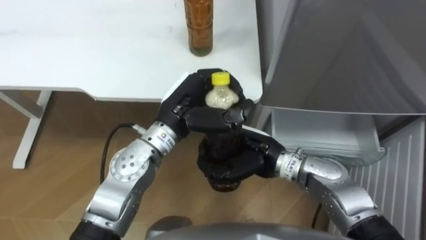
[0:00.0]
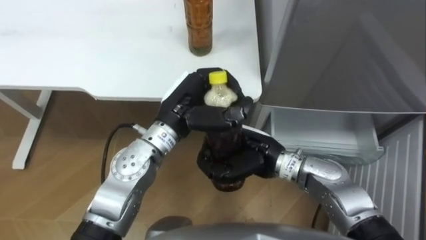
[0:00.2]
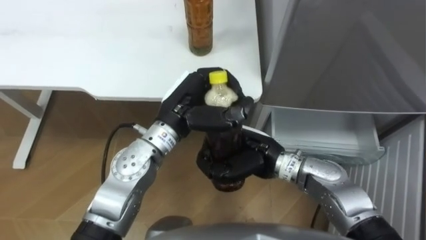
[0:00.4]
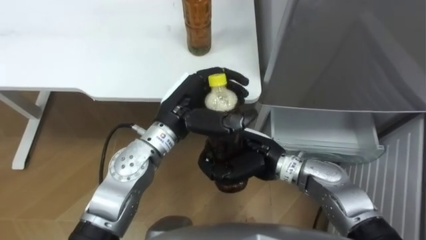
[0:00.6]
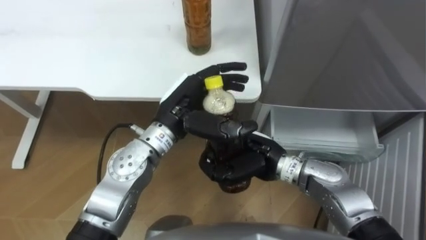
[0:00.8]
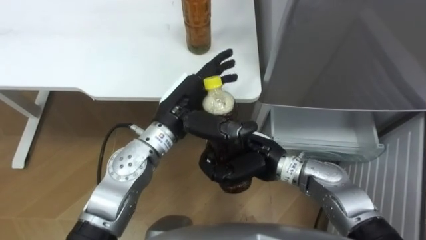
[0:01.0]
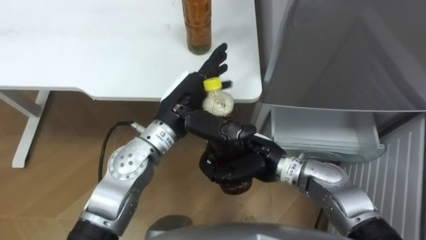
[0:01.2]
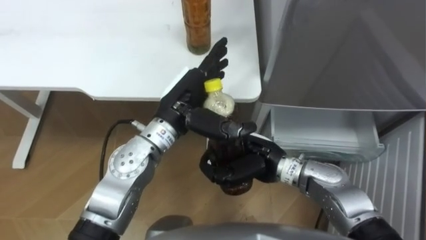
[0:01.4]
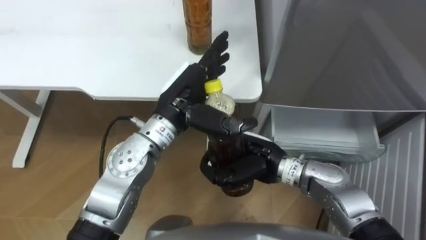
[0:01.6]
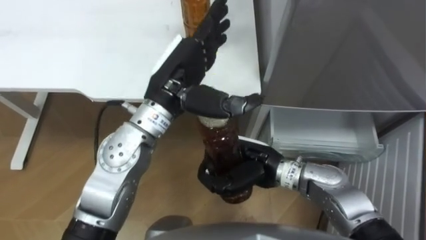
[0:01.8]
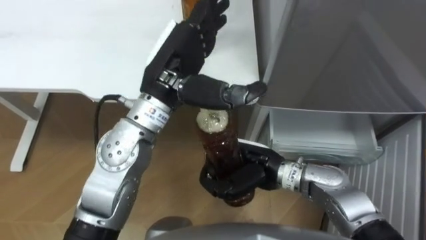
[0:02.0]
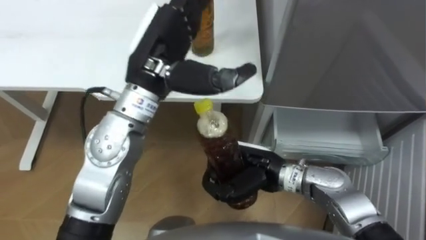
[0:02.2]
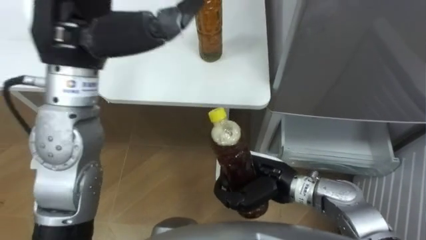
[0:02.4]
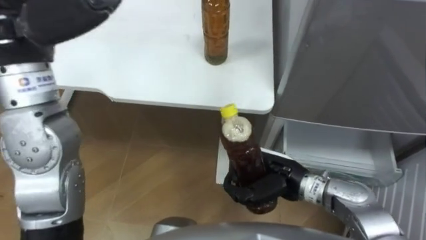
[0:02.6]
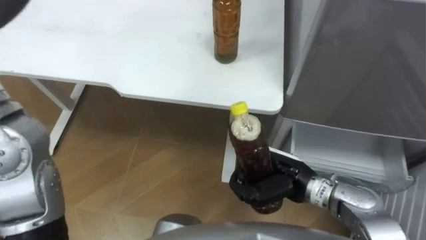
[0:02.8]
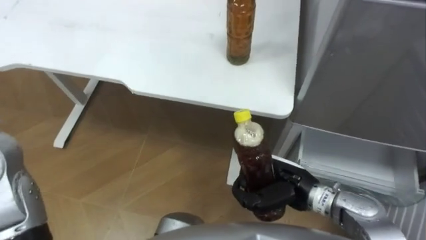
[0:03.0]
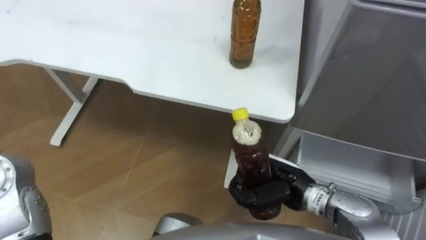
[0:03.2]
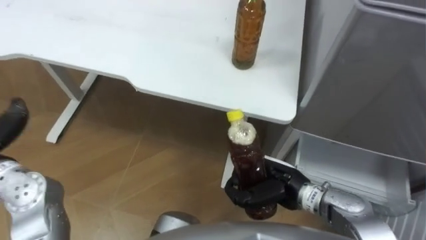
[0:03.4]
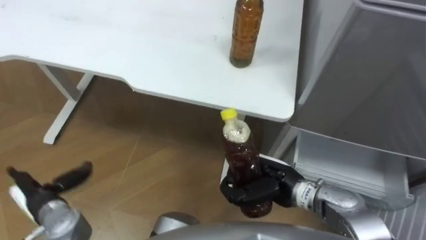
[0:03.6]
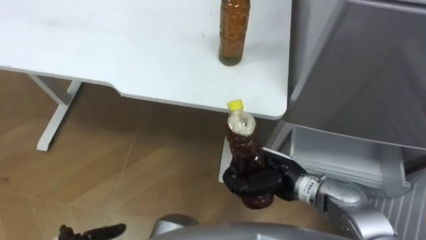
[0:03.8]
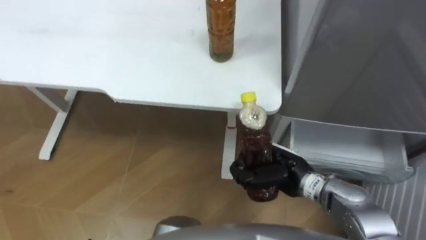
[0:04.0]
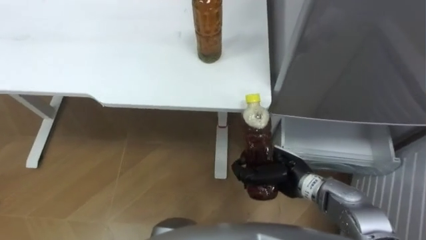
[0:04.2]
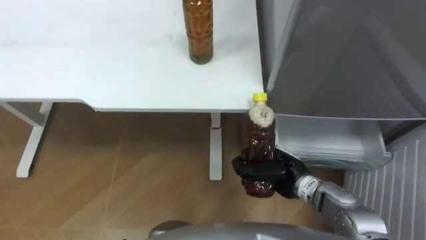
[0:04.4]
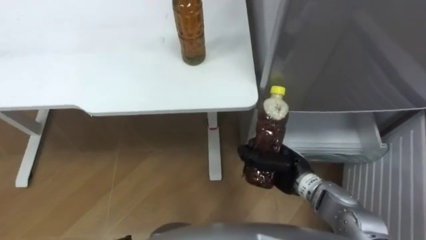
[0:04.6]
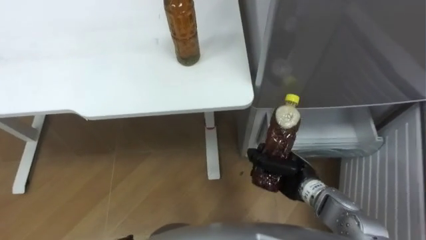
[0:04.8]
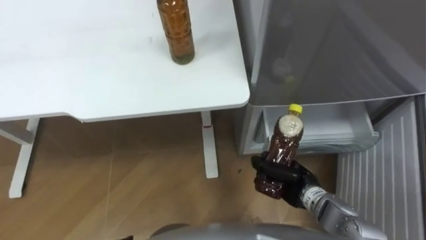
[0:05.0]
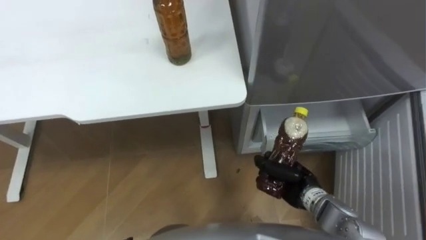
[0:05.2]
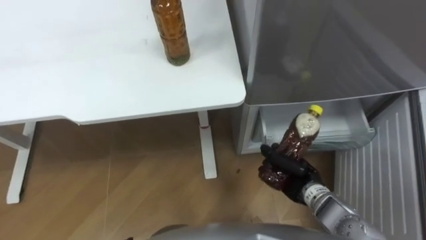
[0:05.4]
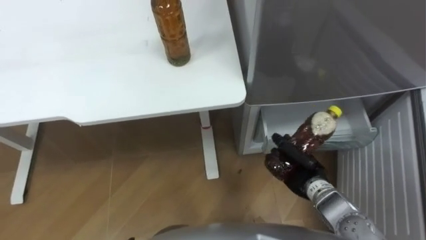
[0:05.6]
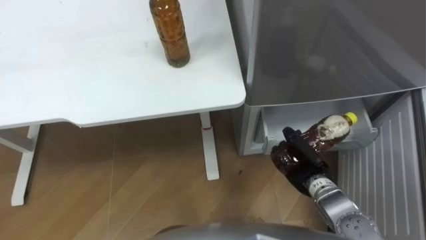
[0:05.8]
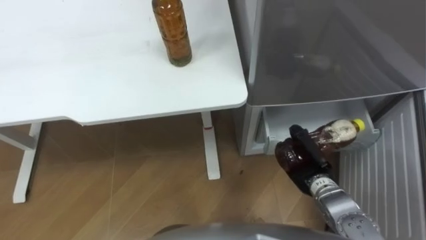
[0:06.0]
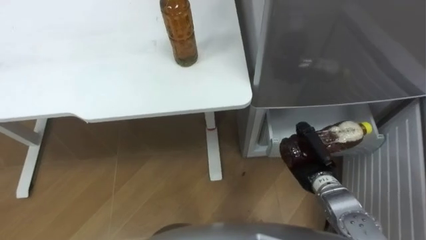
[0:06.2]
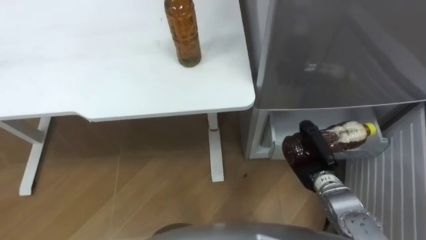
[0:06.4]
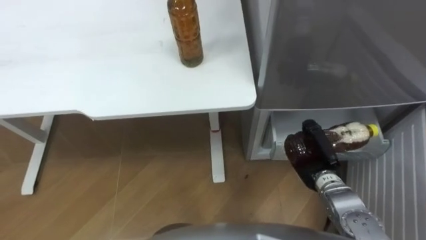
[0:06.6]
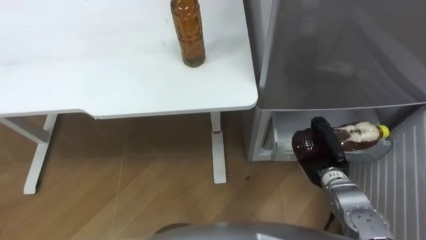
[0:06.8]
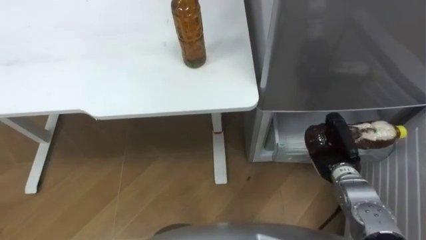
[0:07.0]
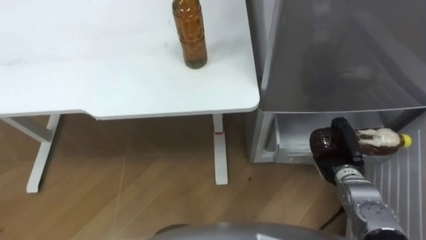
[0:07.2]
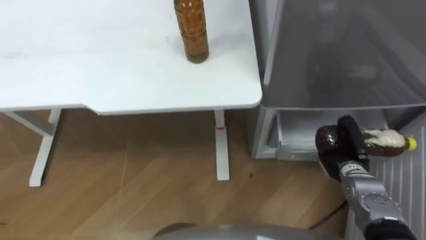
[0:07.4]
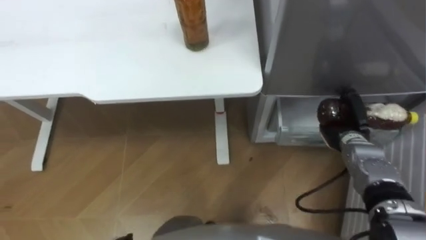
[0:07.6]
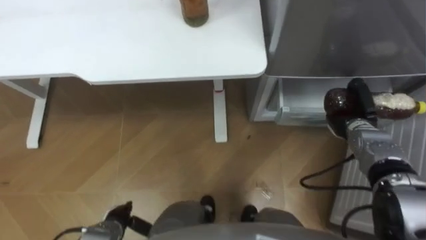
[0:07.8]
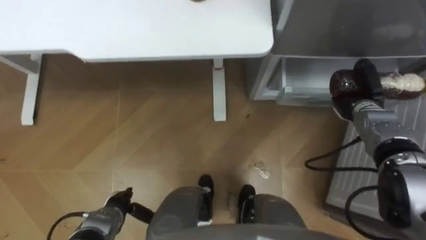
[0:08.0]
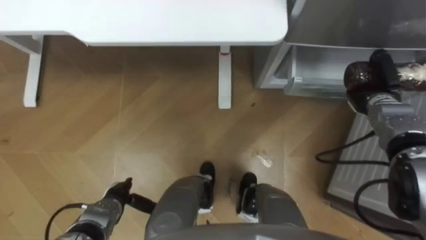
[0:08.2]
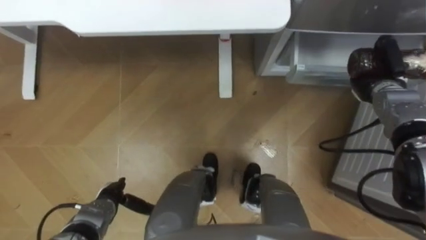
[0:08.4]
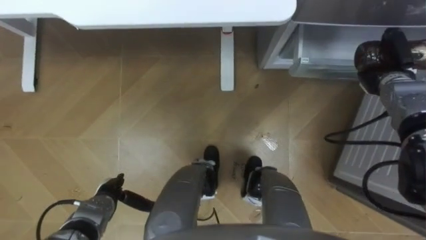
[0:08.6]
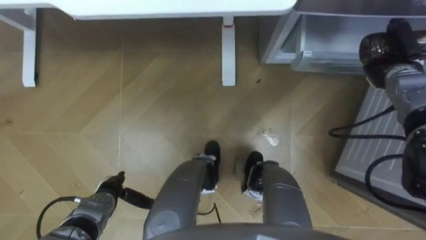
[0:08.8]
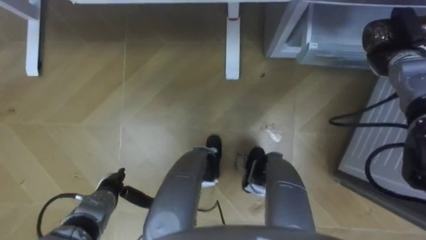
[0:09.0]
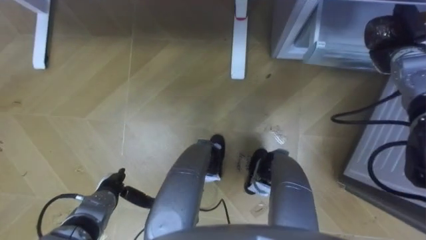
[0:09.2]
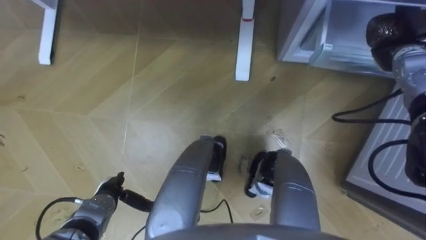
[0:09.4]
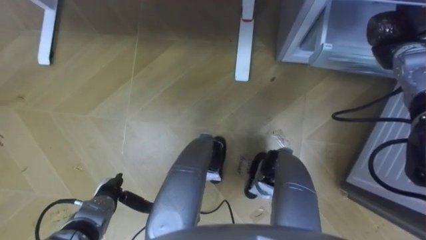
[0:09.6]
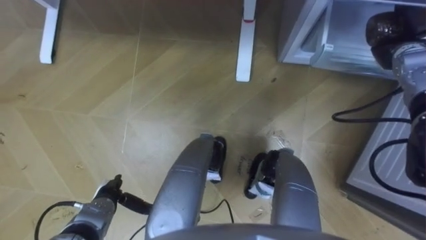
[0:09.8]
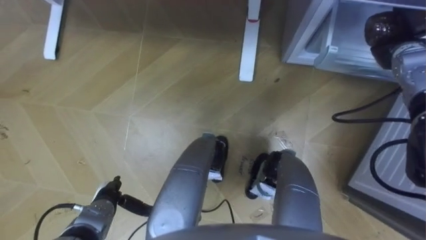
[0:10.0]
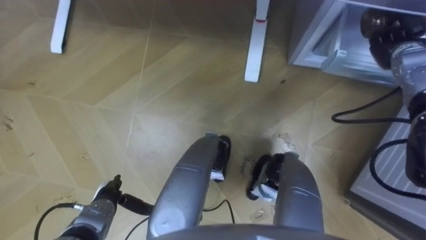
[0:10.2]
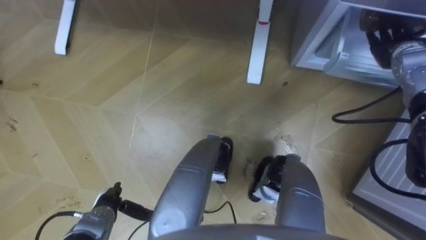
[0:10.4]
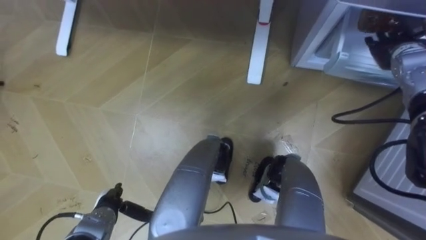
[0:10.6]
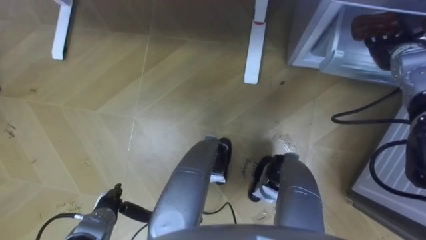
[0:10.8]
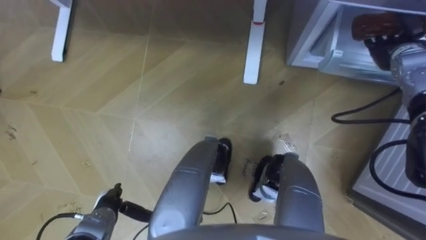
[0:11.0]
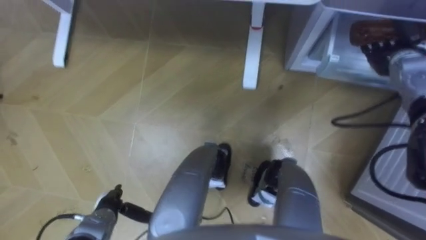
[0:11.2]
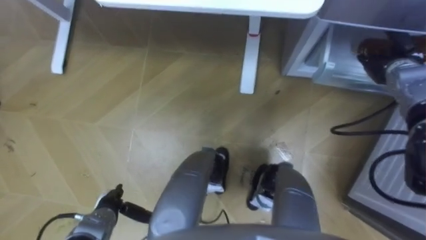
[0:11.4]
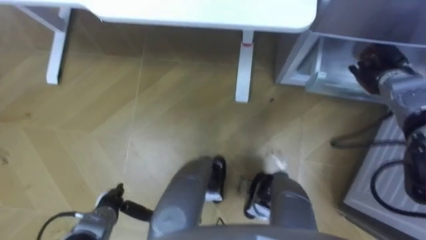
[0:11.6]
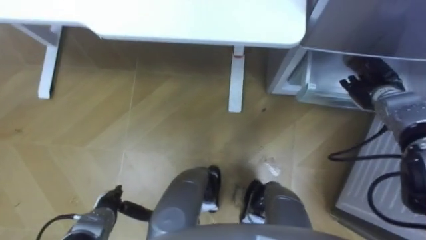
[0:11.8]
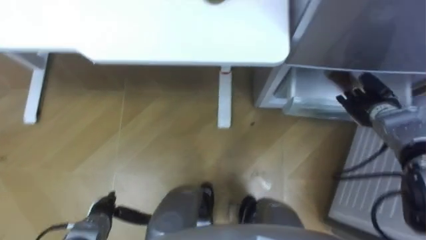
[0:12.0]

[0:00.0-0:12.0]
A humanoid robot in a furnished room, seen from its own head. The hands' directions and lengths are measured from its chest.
Task of the whole recording: Place the drink on the table on the bottom shelf of the refrigerator, then close the drawer and the refrigerator door.
0:00.0 to 0:01.6: The left hand opens its fingers.
0:01.6 to 0:03.0: The right hand is displaced to the right by roughly 5 cm.
0:04.4 to 0:06.0: The right hand goes about 5 cm to the right.
0:06.0 to 0:07.6: The right hand heads to the right and forward, covering some 10 cm.
0:07.6 to 0:09.0: The right hand travels upward, forward and to the right by some 20 cm.
0:09.0 to 0:10.4: The right hand opens its fingers.
0:10.4 to 0:12.0: The right hand is displaced downward and backward by approximately 15 cm.

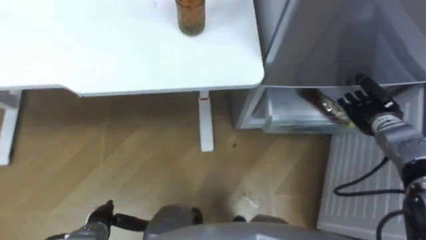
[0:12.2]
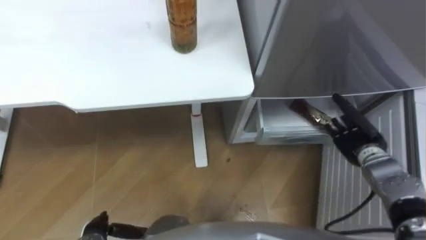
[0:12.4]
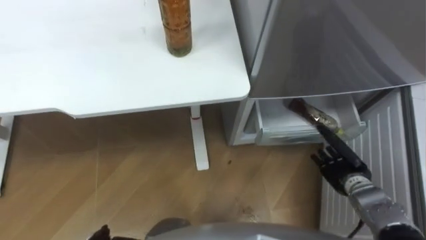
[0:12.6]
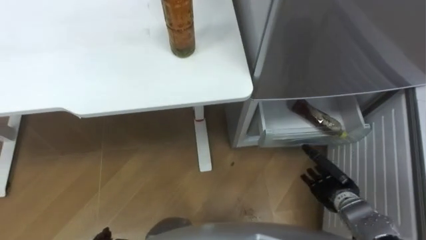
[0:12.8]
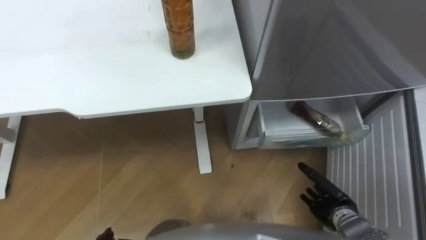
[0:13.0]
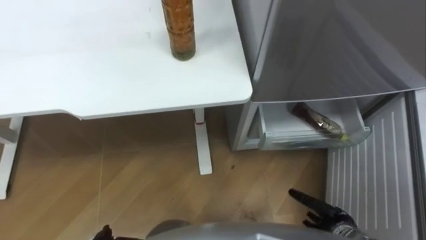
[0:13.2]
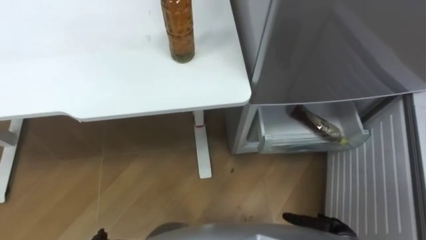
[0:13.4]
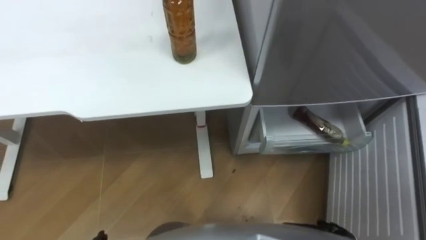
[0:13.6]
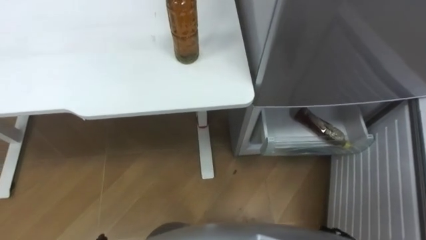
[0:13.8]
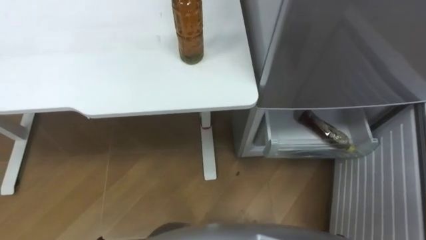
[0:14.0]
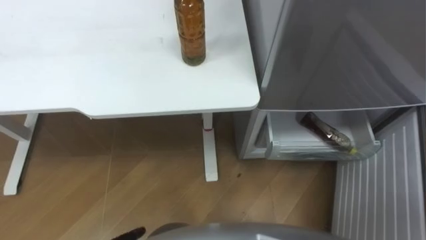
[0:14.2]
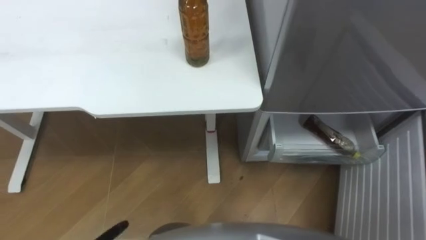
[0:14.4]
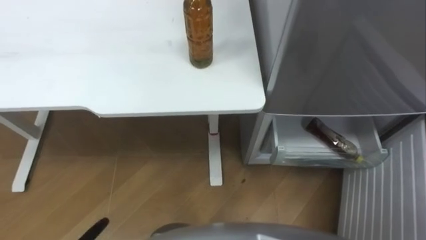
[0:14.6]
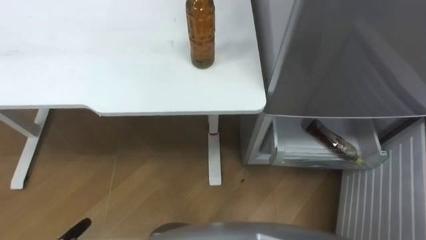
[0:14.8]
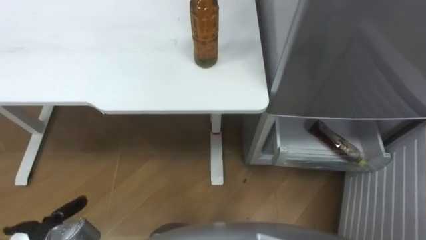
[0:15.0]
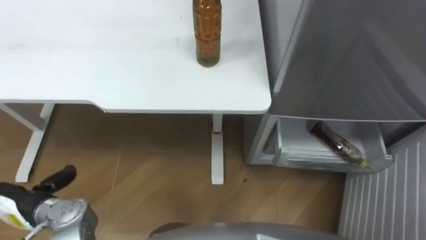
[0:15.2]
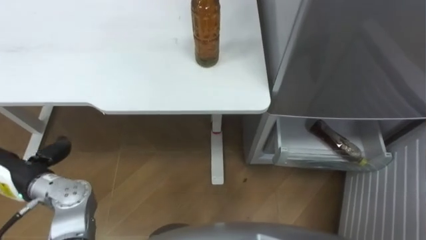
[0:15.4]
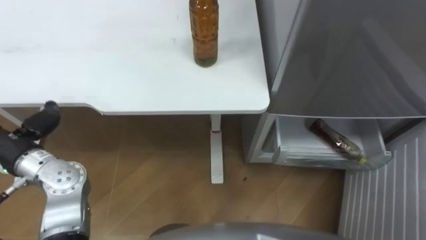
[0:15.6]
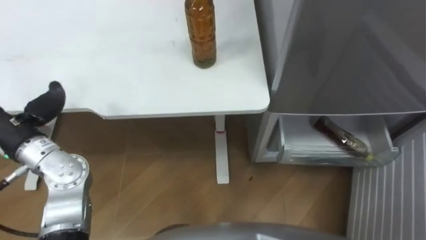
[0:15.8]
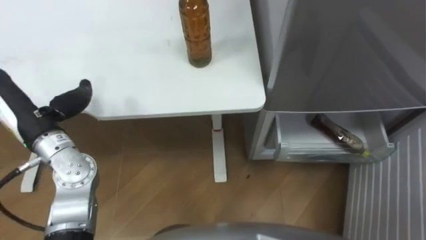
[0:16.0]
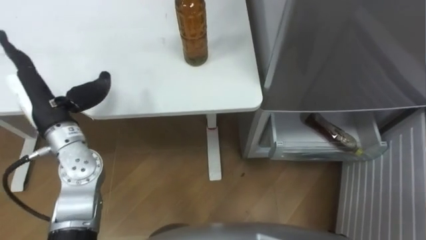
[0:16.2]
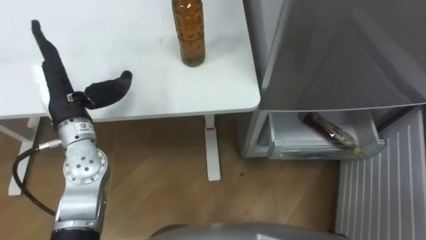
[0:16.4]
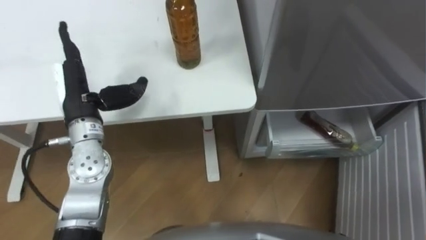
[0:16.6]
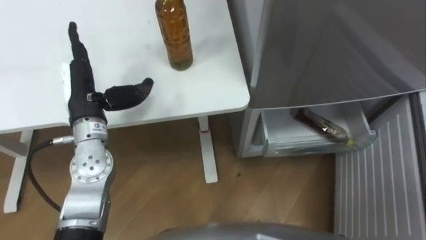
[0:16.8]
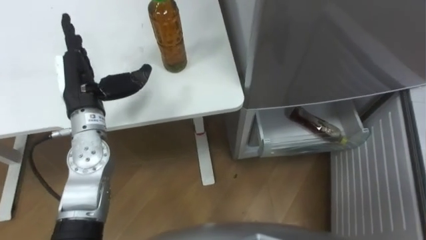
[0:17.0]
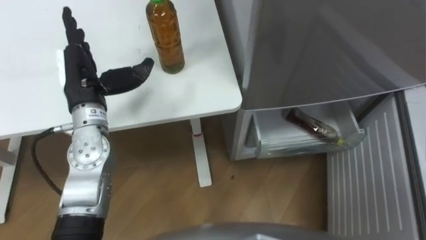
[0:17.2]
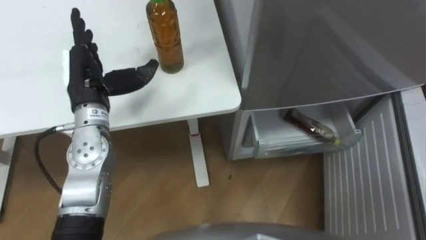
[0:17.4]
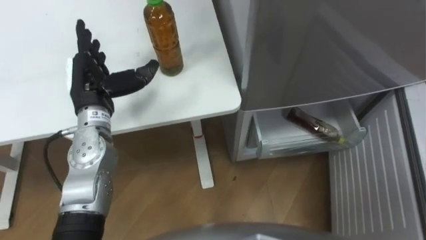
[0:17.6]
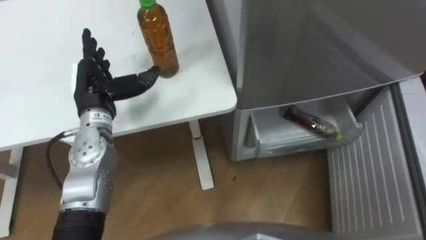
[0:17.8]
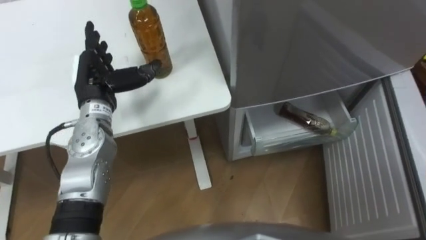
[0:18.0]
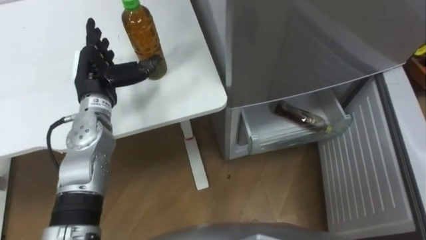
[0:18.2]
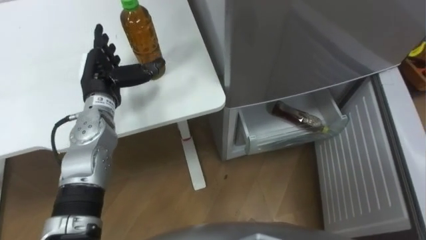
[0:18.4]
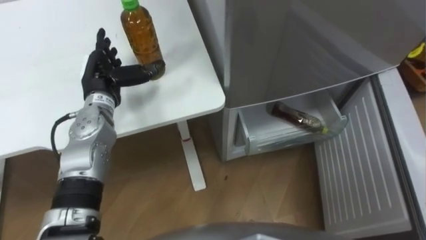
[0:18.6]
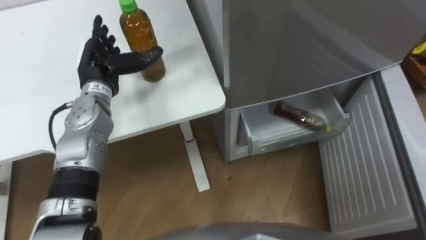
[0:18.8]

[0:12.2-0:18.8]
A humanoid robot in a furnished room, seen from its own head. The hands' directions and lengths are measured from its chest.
Task of the whole recording: Place the drink on the table on the bottom shelf of the refrigerator, then close the drawer and the refrigerator door.
0:17.2 to 0:18.8: The left hand is displaced forward by about 5 cm.
